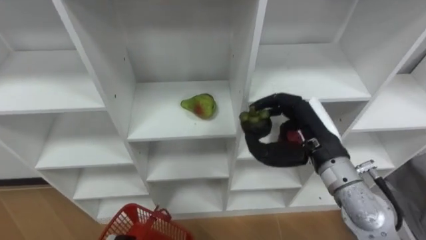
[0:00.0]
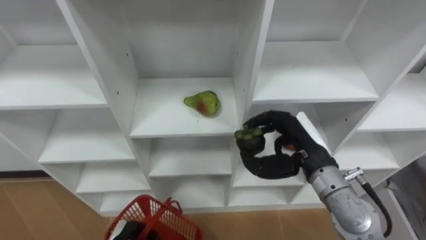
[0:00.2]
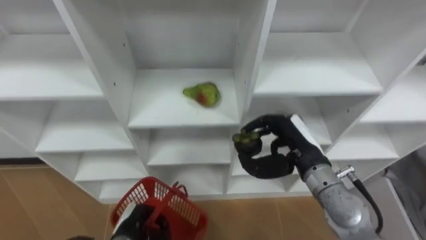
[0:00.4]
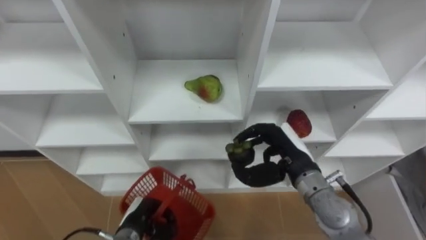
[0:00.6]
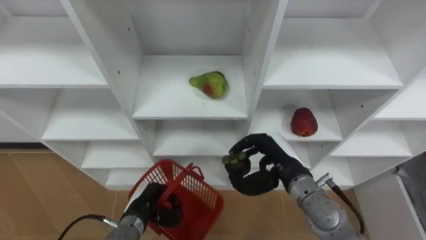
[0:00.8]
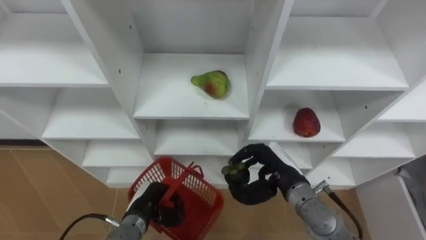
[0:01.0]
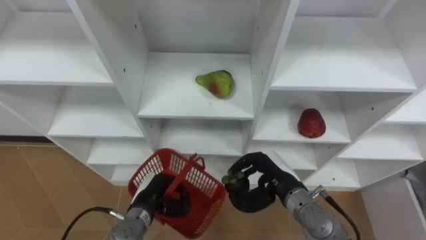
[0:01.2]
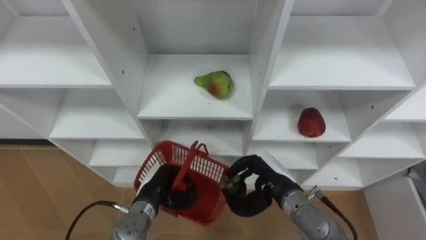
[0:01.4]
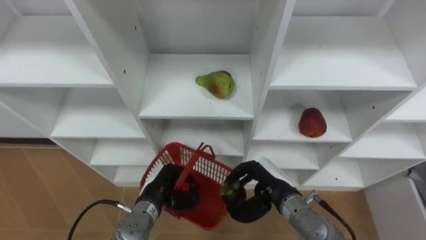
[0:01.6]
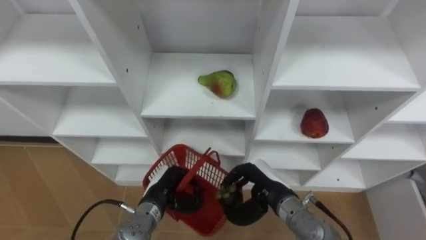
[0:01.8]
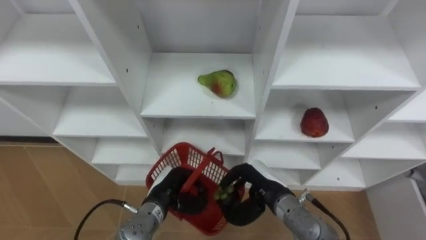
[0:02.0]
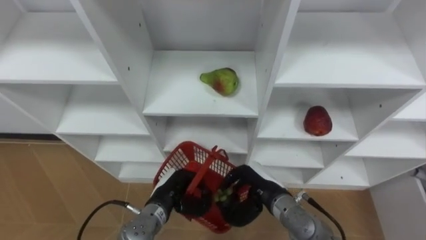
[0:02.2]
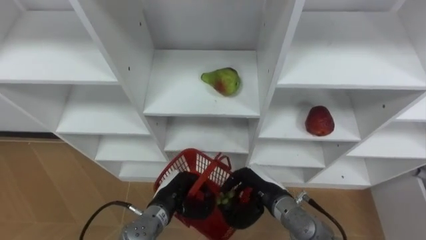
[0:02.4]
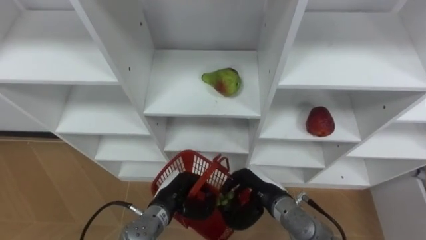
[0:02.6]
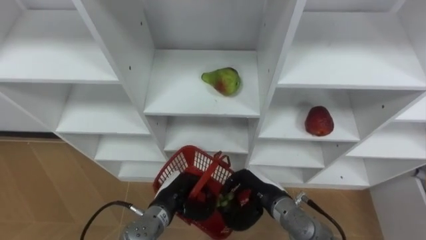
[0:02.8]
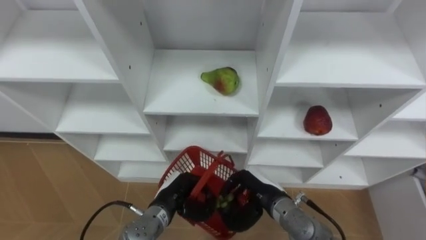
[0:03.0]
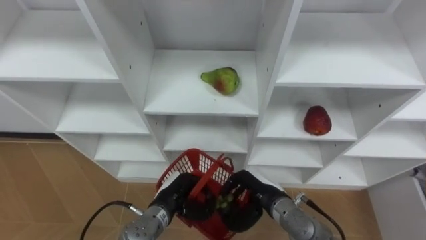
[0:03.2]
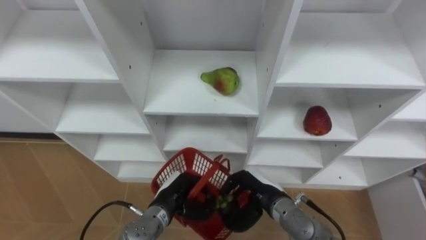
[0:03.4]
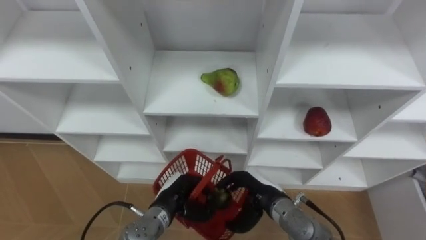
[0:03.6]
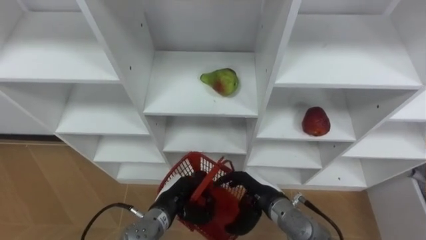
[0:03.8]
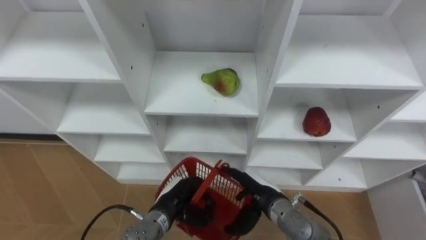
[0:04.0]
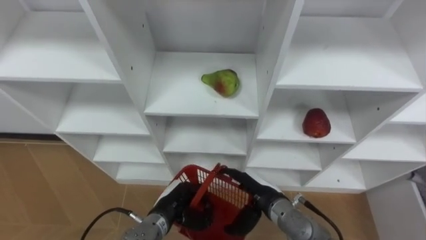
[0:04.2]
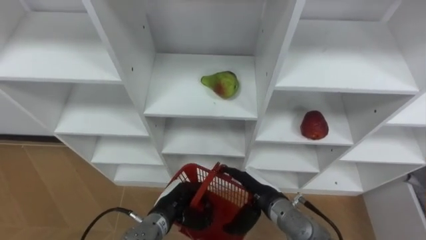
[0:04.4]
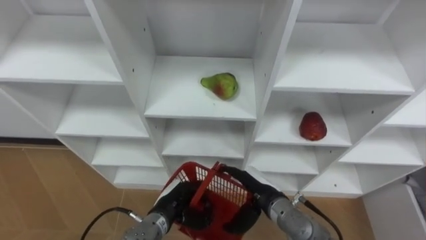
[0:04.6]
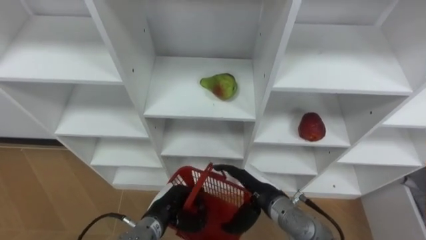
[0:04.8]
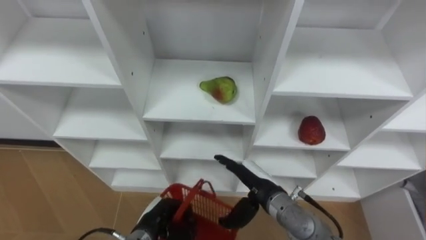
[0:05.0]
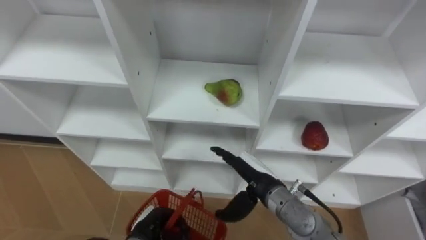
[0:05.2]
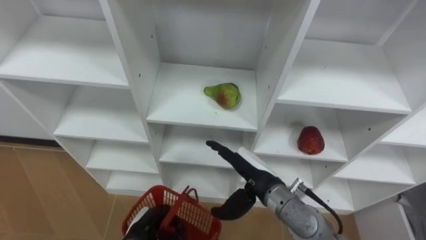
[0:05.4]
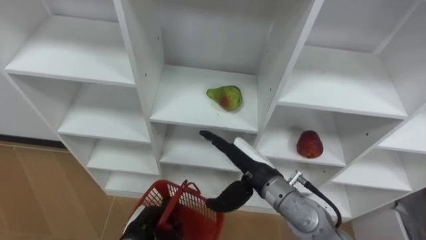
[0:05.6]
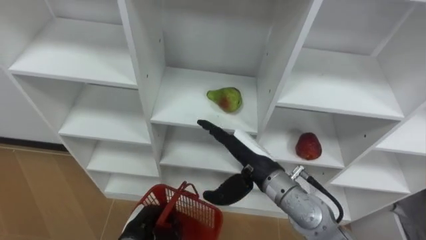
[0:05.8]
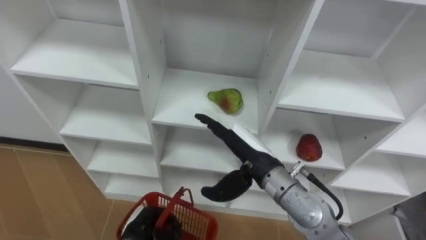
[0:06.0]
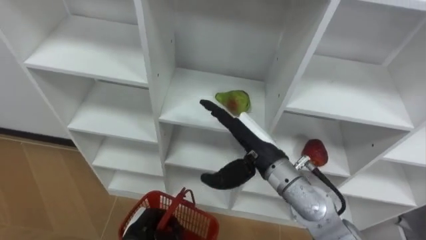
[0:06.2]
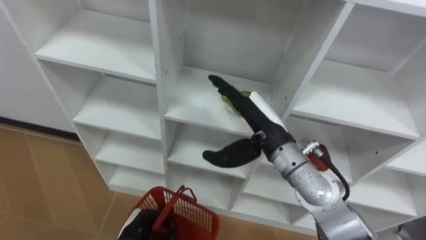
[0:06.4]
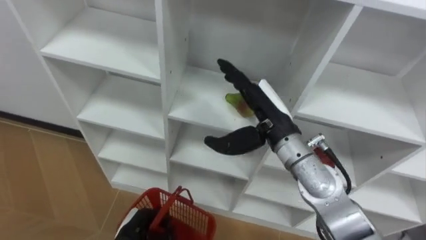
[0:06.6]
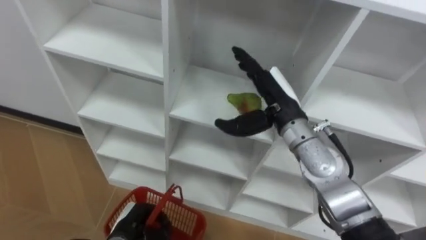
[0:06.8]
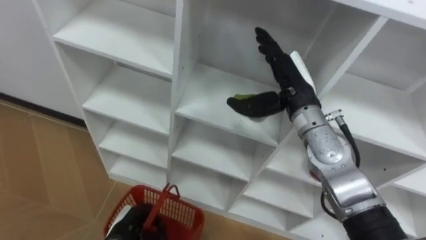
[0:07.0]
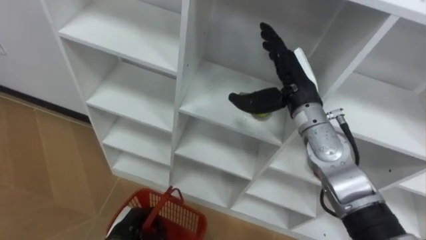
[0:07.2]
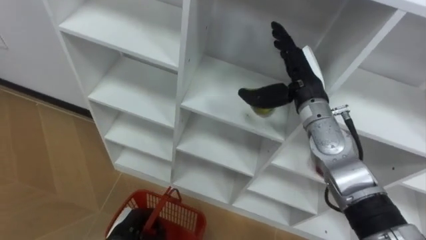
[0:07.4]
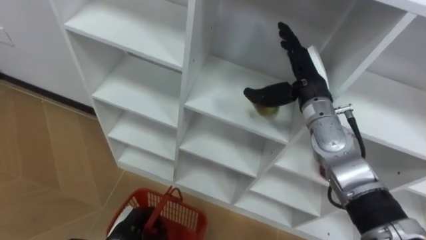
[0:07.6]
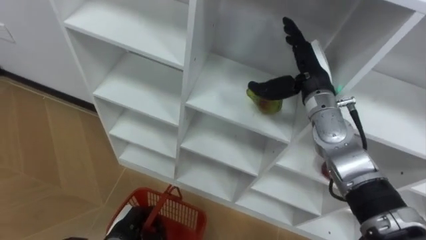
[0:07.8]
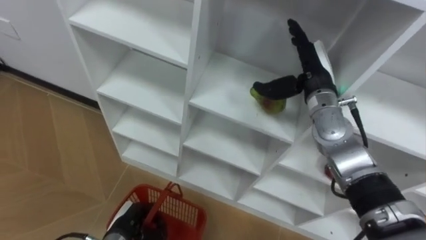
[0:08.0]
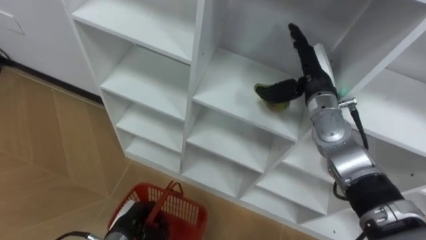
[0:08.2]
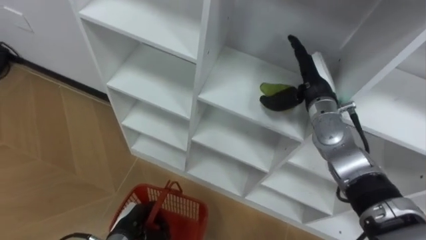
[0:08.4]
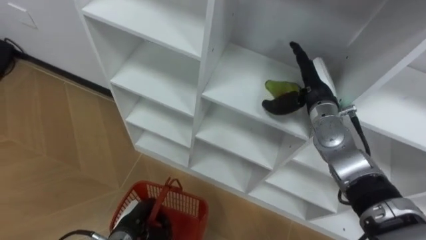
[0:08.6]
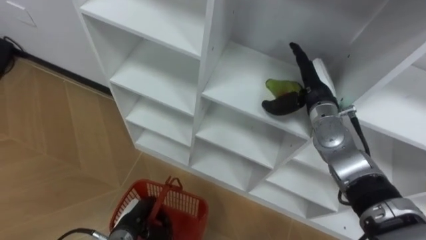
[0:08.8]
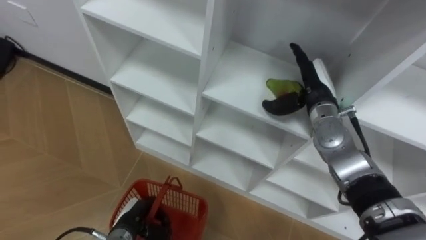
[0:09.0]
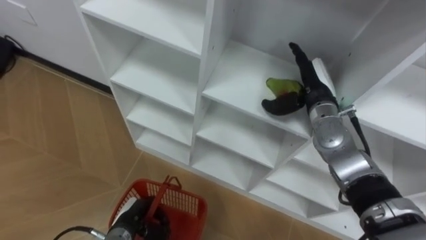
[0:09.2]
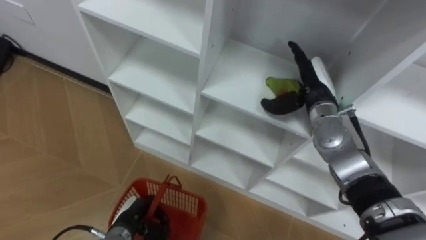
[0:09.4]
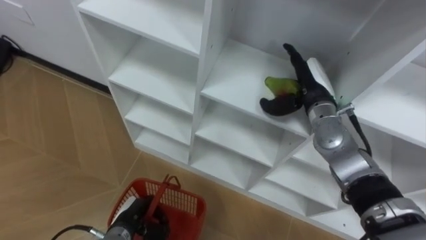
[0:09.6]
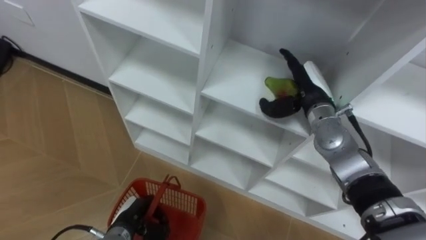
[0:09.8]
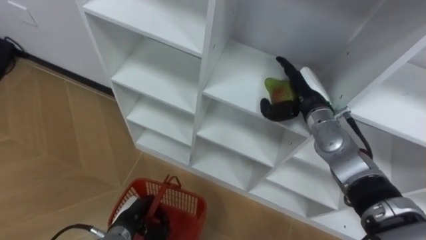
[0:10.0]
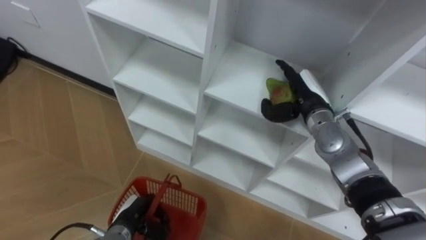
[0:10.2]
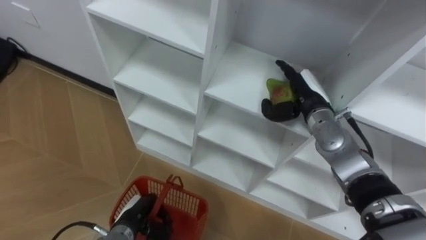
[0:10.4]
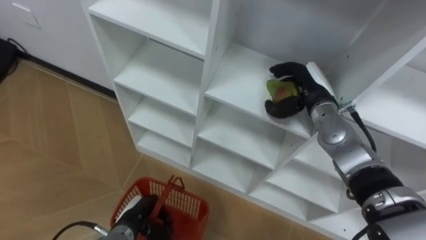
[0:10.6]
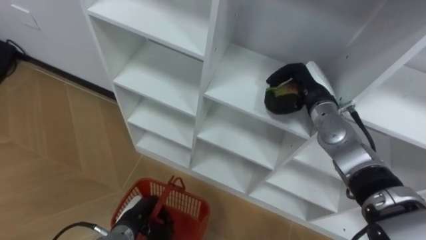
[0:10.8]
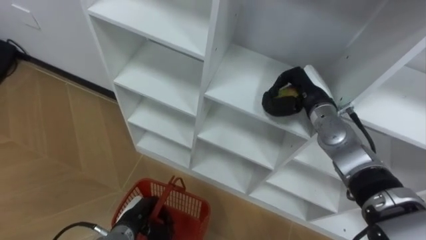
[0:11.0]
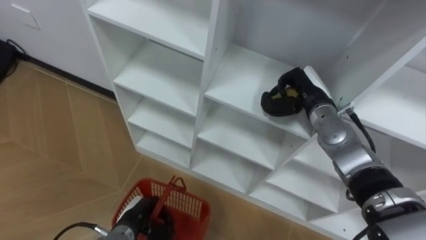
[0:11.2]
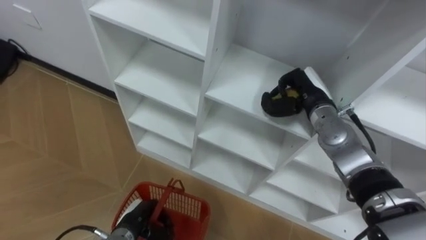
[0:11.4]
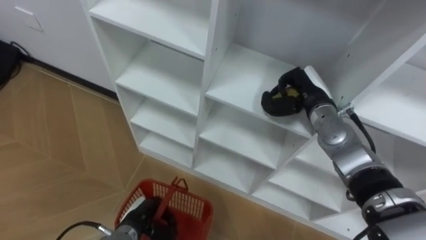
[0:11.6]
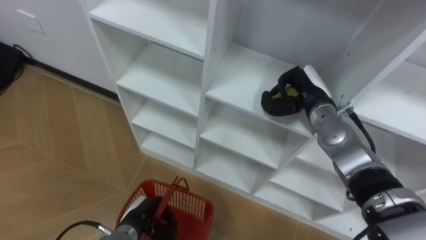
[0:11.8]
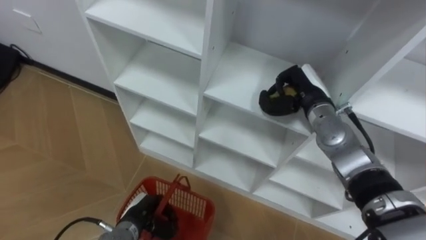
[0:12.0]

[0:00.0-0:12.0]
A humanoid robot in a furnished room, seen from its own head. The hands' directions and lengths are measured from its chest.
Task of the whole recording: Hold the basket and collect the fruits from 3 different cells of the closet into it.
0:00.0 to 0:01.6: The right hand is displaced downward by about 15 cm.
0:03.0 to 0:04.4: The right hand opens.
0:04.4 to 0:06.0: The left hand travels to the left by approximately 5 cm. The right hand goes about 10 cm upward.
0:06.0 to 0:07.6: The right hand shifts some 15 cm forward, to the right and upward.
0:07.6 to 0:09.0: The right hand ends up approximately 5 cm from where it was.
0:09.0 to 0:10.4: There are only small adjustments of the hands.
0:10.4 to 0:12.0: The right hand closes its fingers.

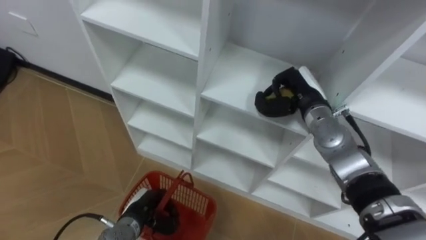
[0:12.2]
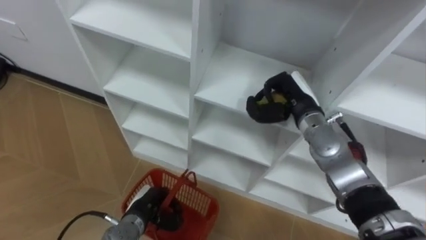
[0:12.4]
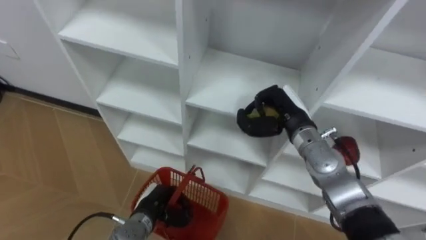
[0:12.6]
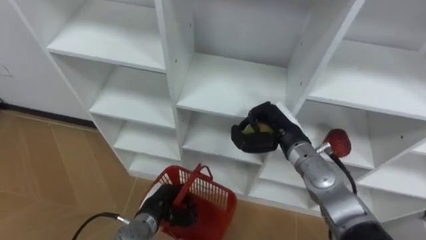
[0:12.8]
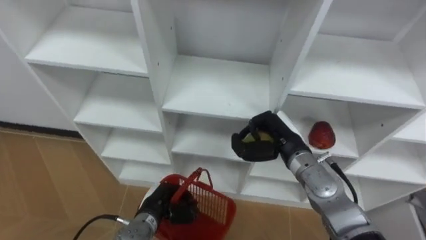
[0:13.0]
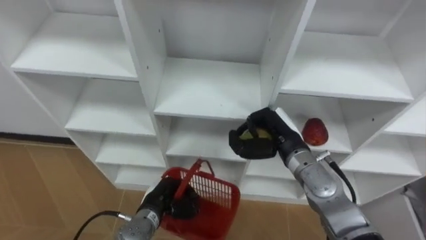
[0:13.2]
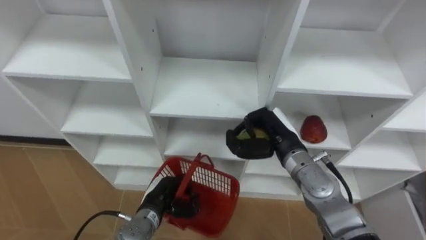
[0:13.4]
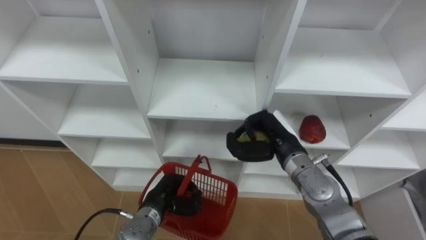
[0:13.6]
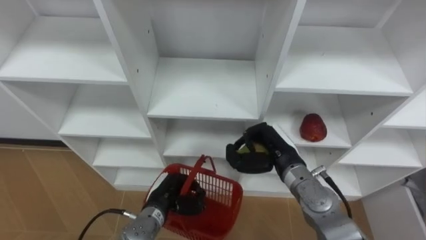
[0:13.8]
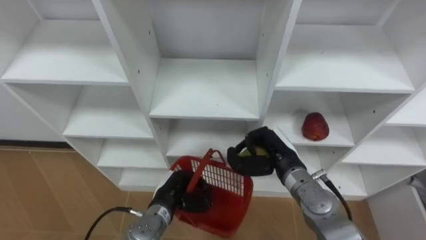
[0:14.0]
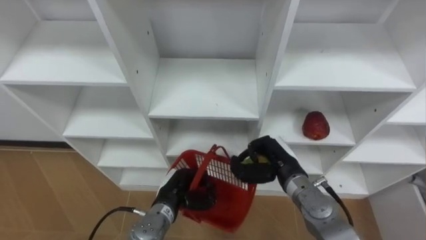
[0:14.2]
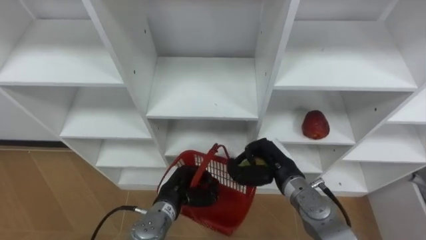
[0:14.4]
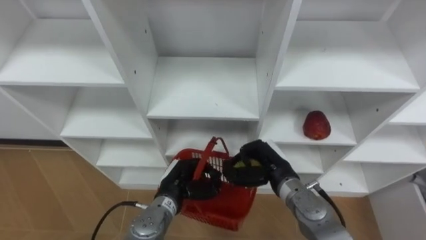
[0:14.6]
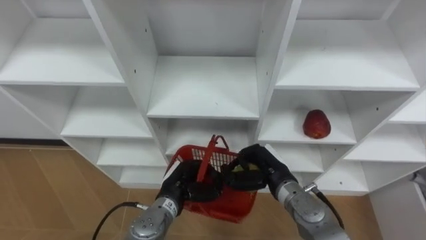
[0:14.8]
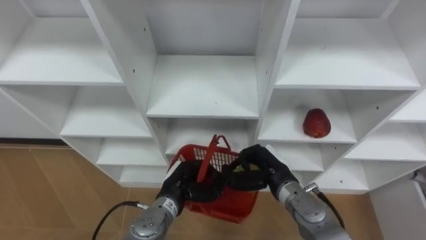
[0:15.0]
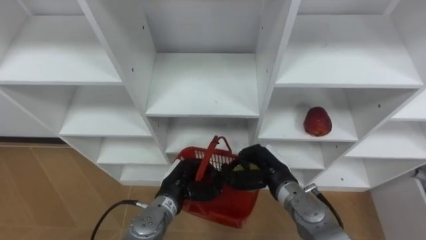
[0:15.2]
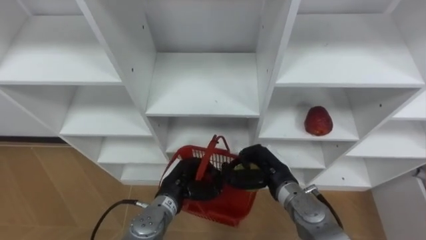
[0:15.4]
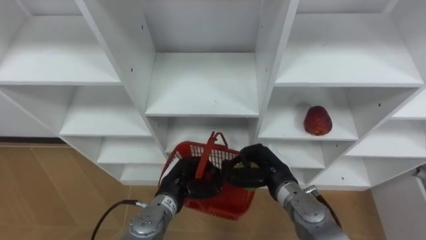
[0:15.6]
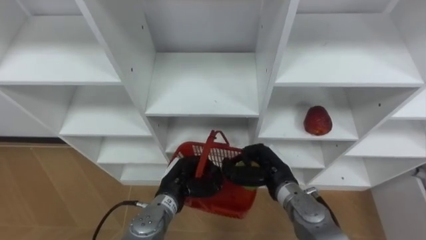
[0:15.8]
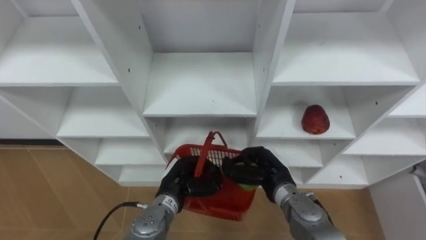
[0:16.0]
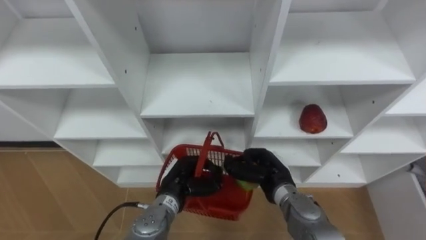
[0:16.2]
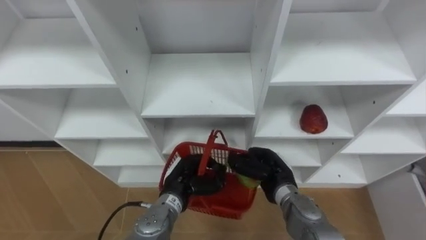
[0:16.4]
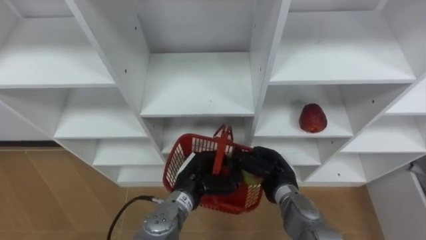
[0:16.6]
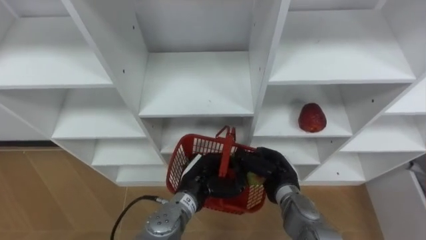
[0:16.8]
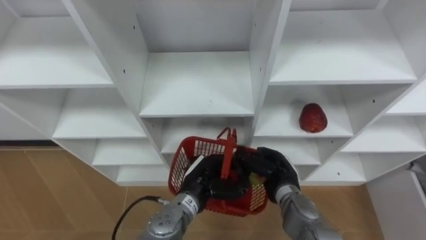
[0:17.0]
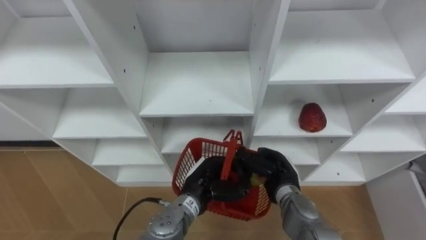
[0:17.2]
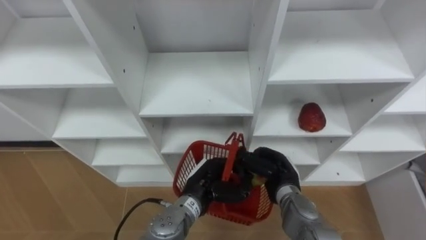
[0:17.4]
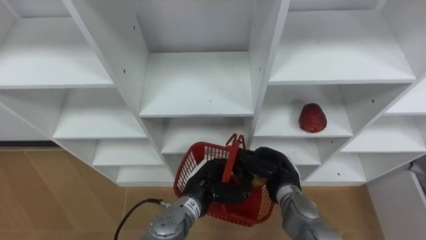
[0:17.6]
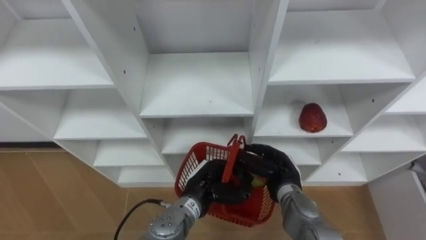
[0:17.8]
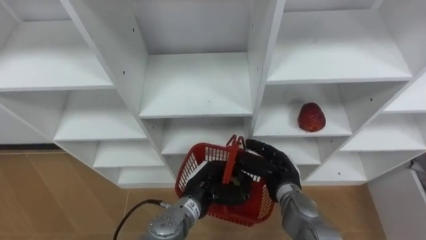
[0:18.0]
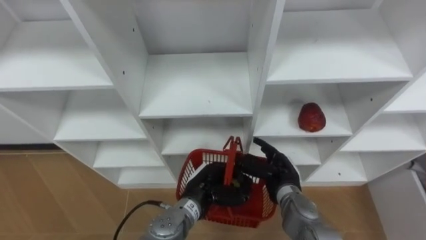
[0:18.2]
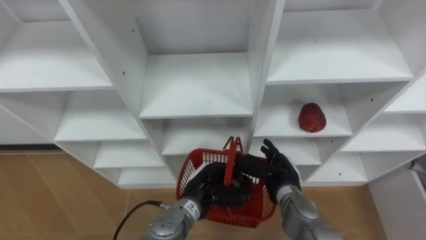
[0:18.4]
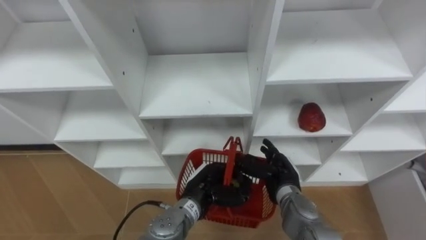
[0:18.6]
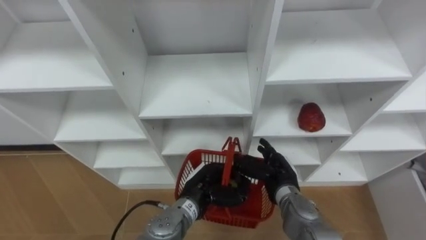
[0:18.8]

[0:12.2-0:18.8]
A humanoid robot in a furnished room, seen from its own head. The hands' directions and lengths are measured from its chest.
Task of the whole recording: Hold the basket and collect the fruits from 3 different cells of the closet into it.
0:12.2 to 0:13.8: The left hand goes some 5 cm to the right. The right hand heads backward, downward and to the left, covering about 10 cm.
0:13.8 to 0:15.4: The right hand moves some 5 cm, while the left hand shifts by some 5 cm.
0:15.4 to 0:17.2: The left hand shifts by some 5 cm.
0:17.2 to 0:18.8: The right hand opens.
